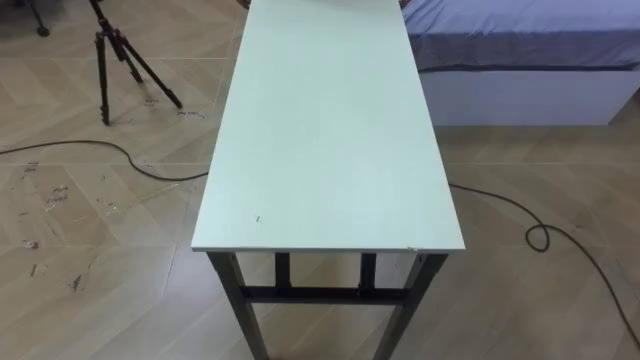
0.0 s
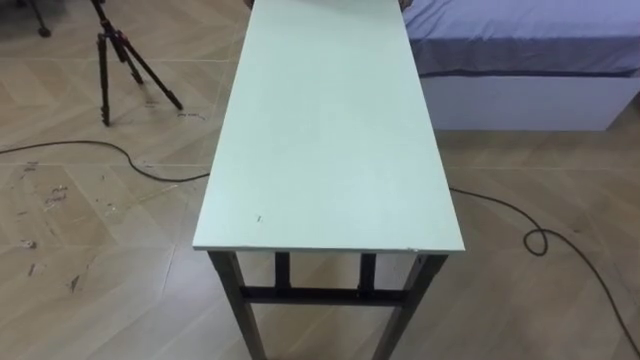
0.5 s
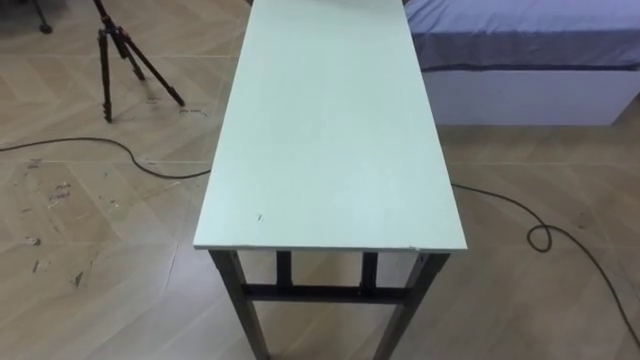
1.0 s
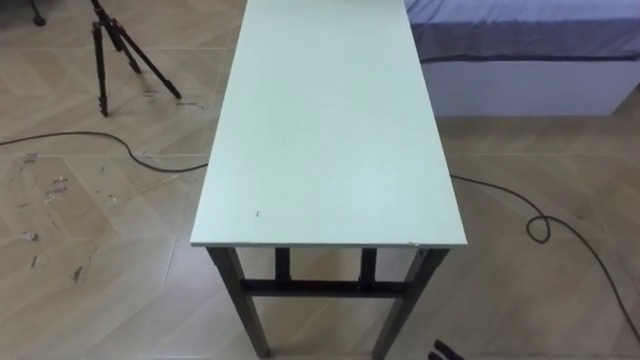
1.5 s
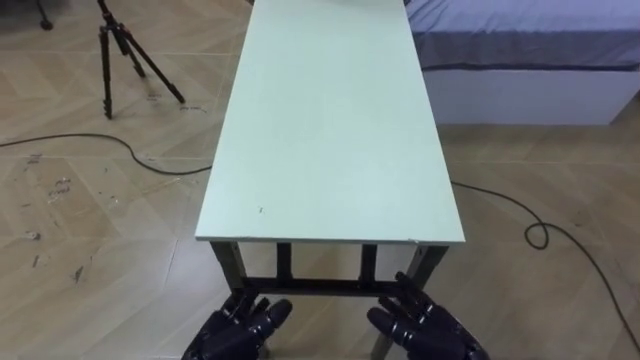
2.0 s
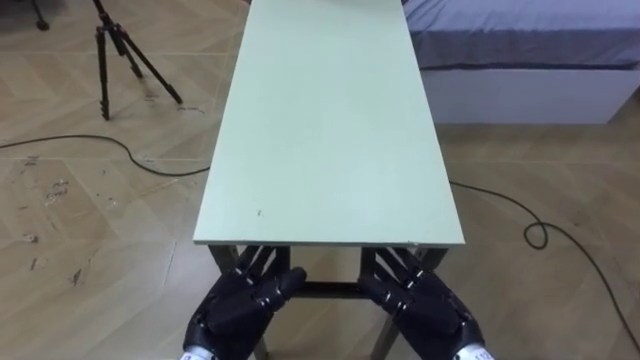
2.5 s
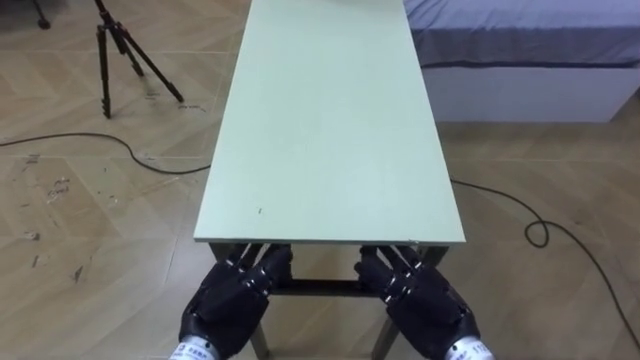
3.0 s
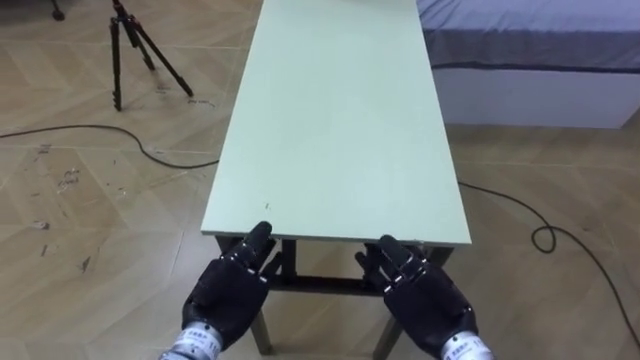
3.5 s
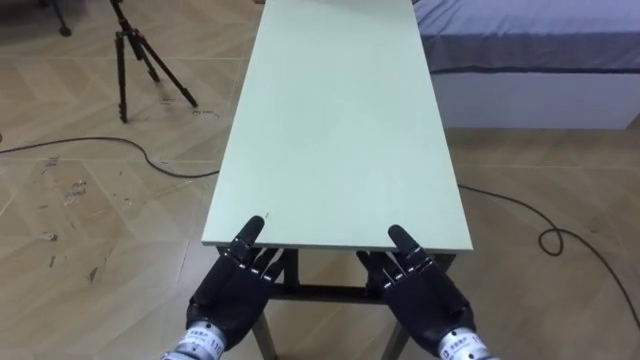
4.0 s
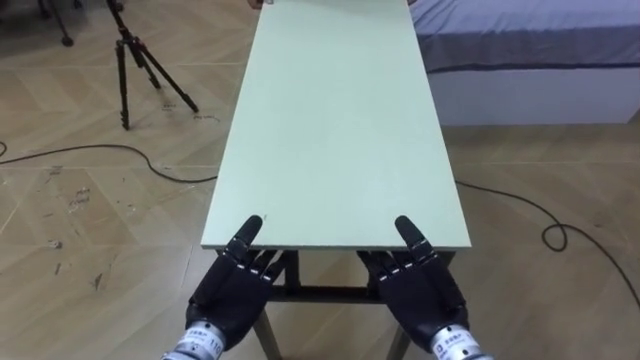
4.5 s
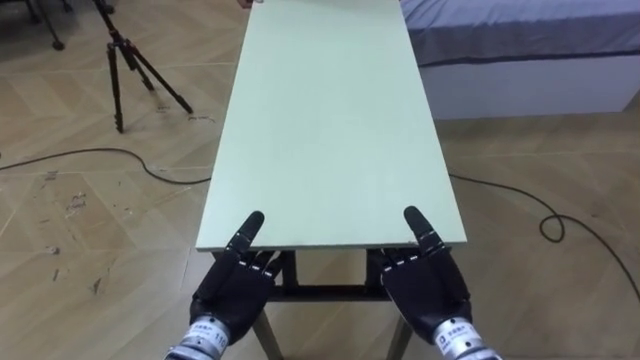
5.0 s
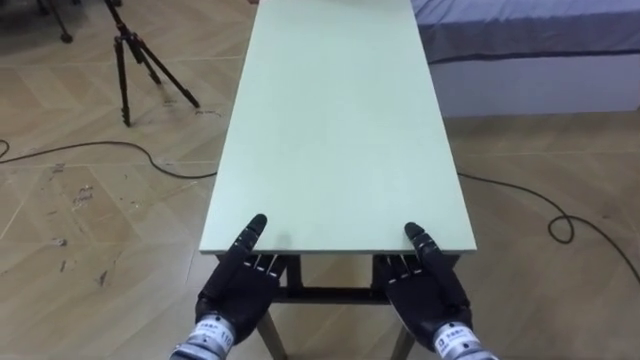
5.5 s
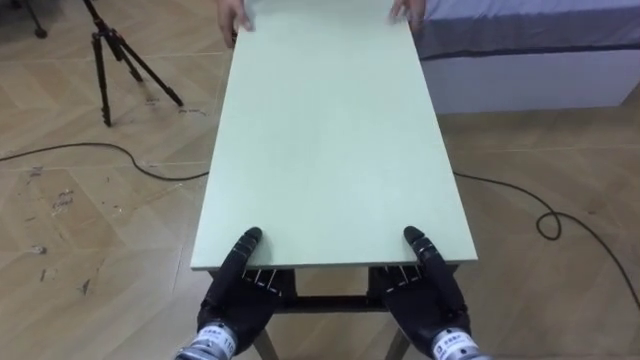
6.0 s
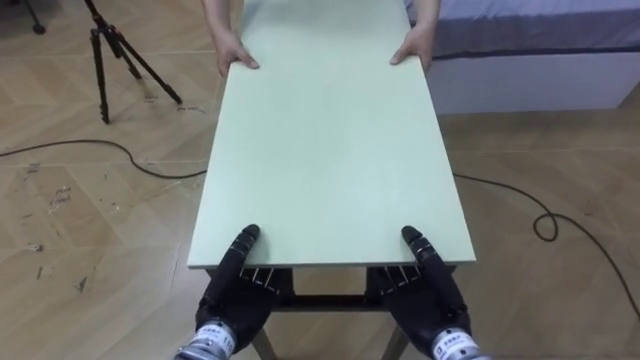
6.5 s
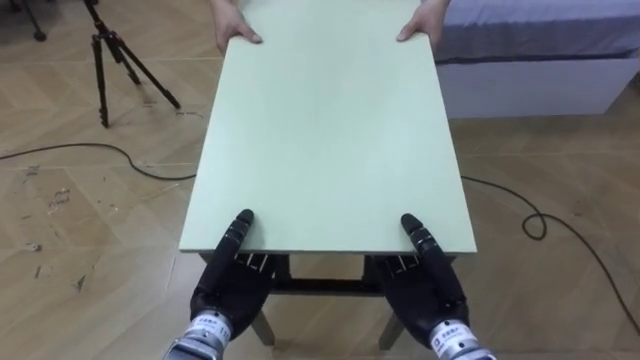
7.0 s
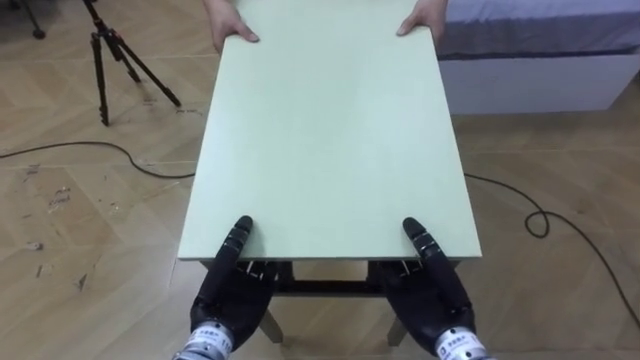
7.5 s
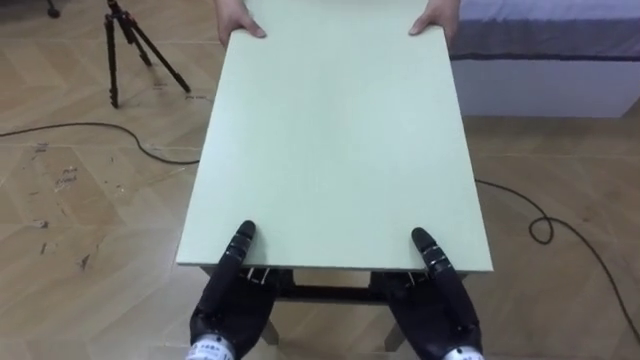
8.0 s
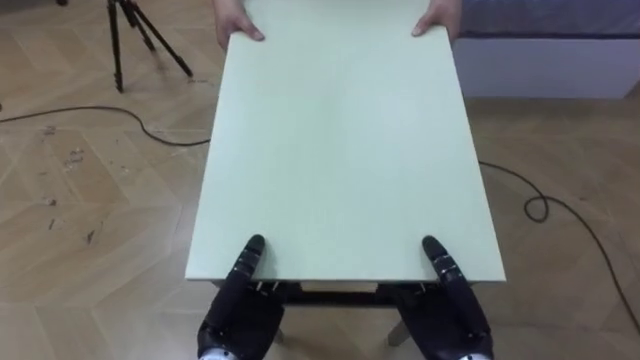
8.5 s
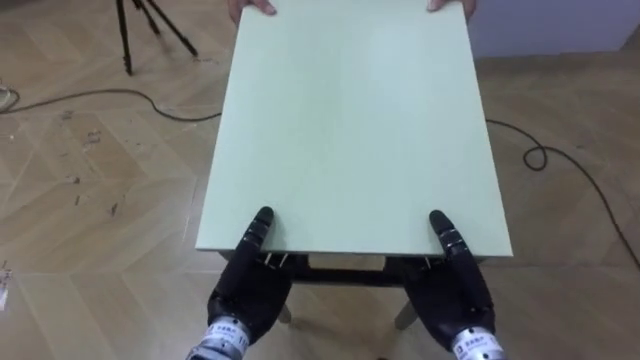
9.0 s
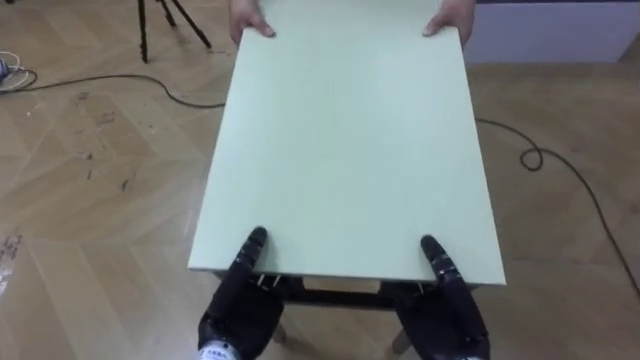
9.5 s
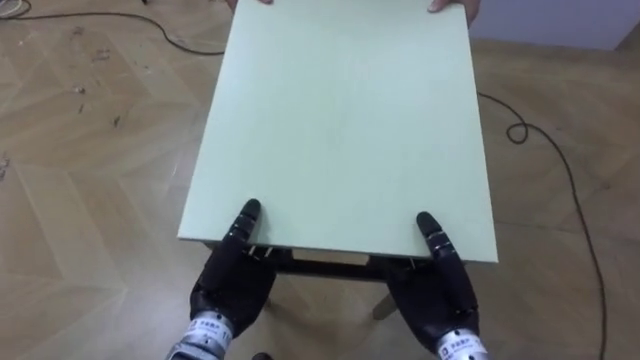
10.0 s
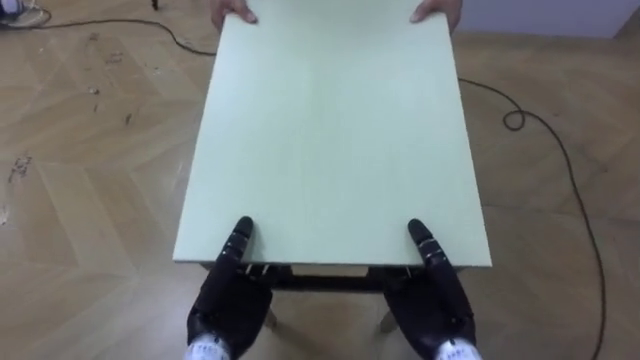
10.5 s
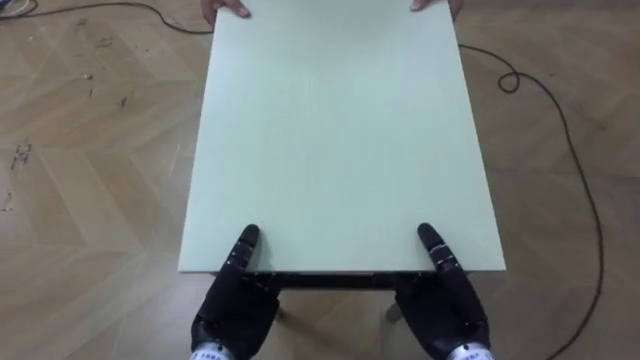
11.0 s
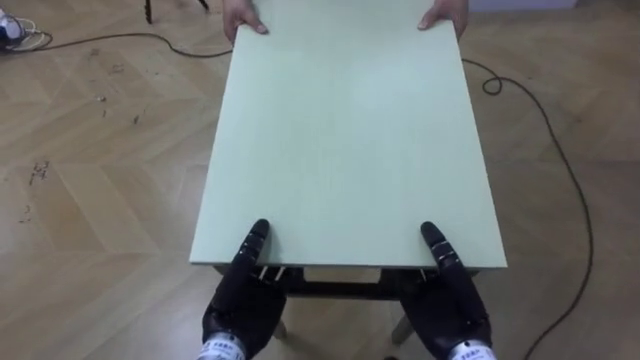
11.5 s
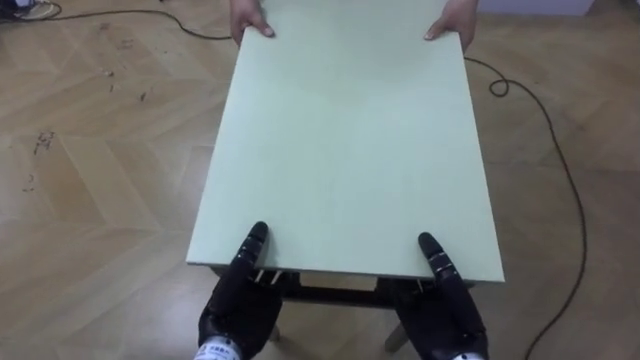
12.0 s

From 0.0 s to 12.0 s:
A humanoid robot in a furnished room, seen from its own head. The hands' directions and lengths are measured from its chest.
Task of the whole recording: Move the table to the back left with someone.
From 2.0 s to 4.0 s: The left hand is displaced forward and upward by about 10 cm. The right hand heads upward, covering roughly 5 cm.
From 4.0 s to 6.0 s: The left hand closes its fingers. The right hand closes.

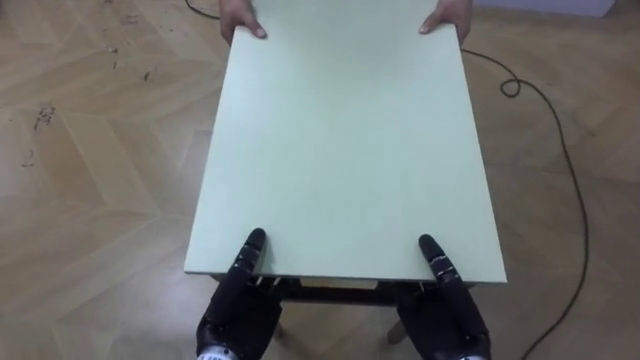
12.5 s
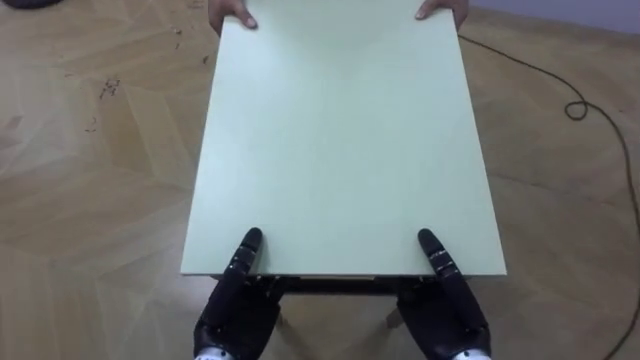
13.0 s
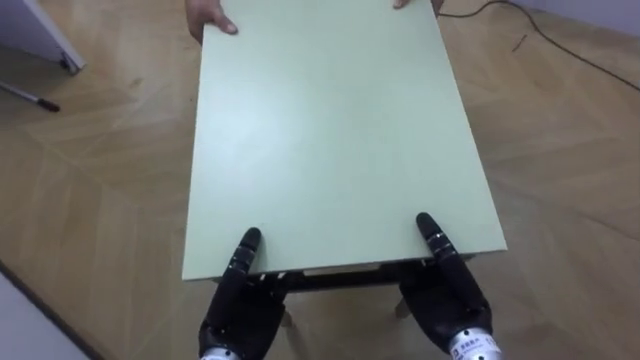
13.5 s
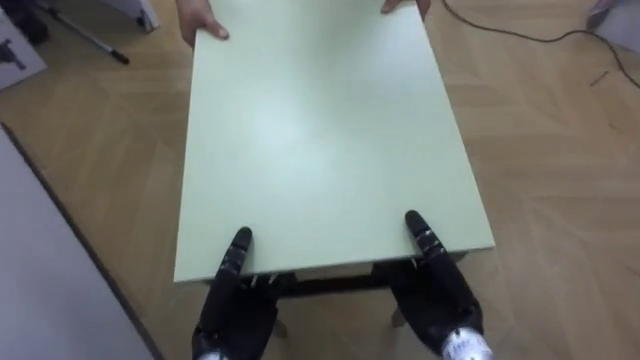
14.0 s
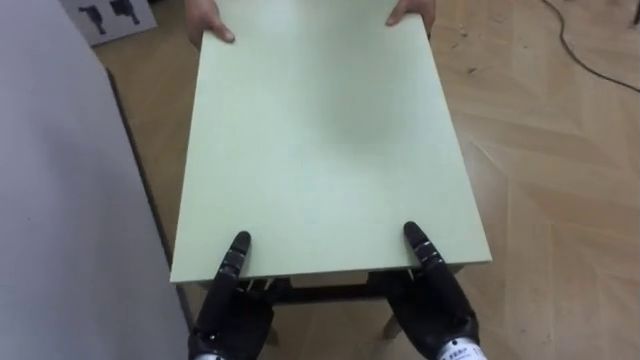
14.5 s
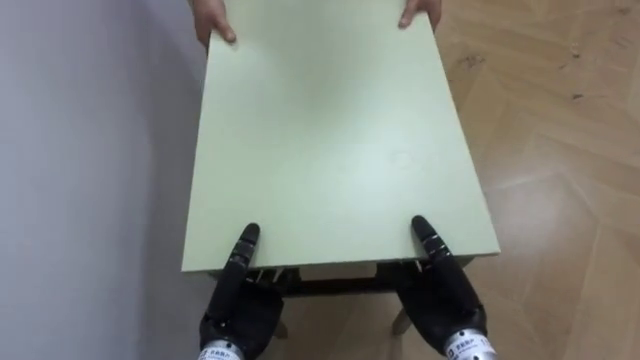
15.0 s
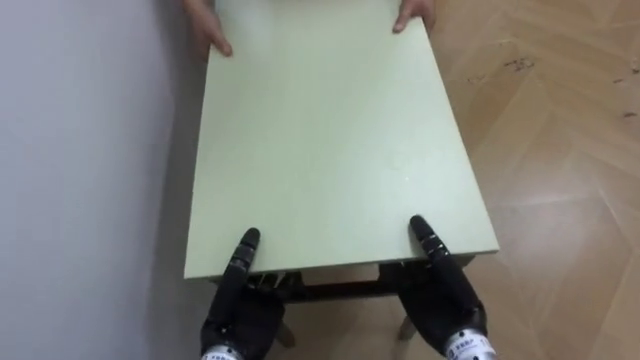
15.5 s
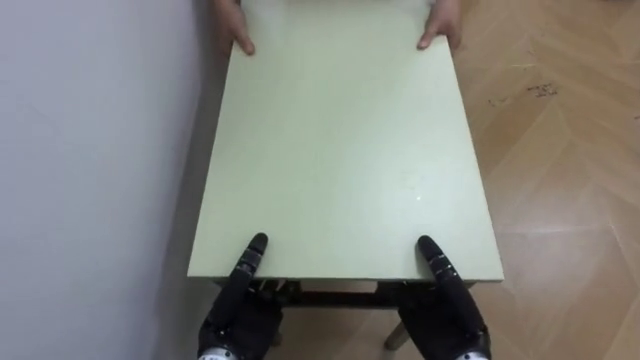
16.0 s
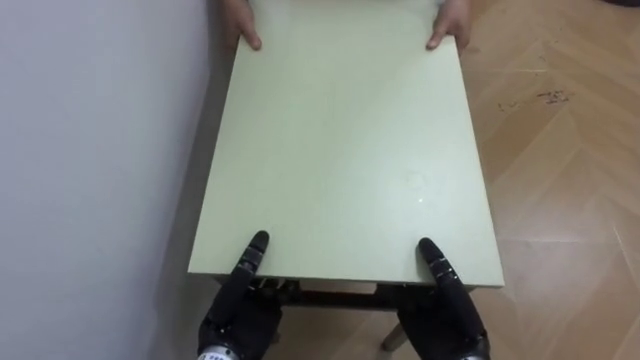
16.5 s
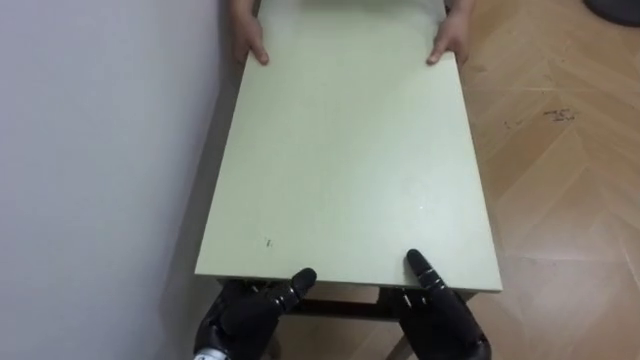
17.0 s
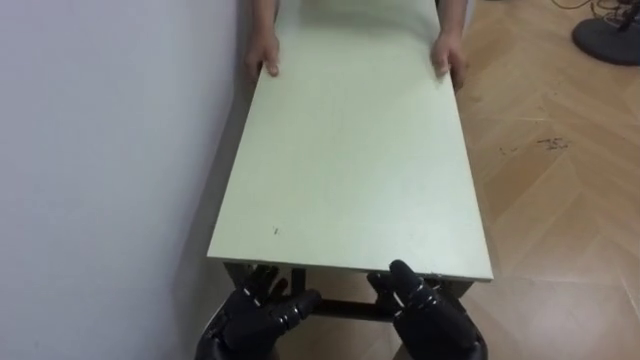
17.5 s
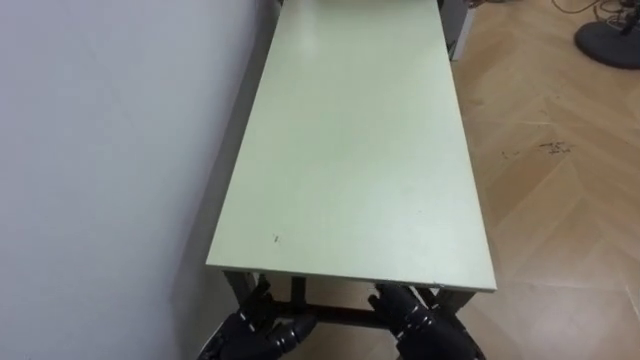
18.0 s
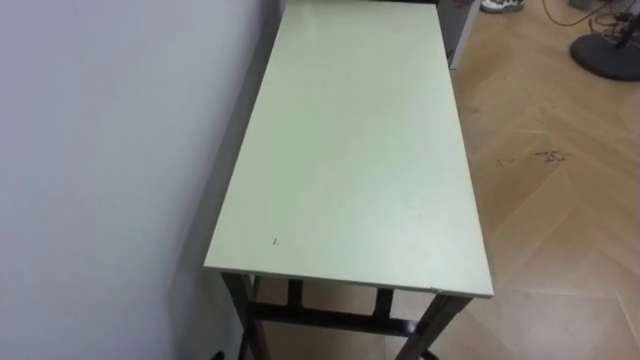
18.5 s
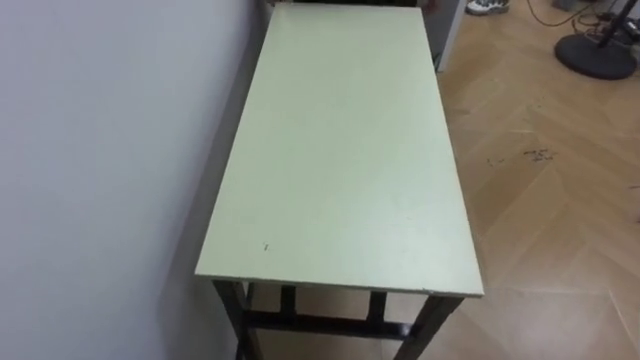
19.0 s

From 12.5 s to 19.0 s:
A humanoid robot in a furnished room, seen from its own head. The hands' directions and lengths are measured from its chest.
Task of the whole recording: Move the table to the back left with someone.
From 12.5 s to 14.5 s: The robot faces approximately 50 degrees further to its left.
From 14.5 s to 17.0 s: The robot faces about 35 degrees further to its left. The left hand opens.

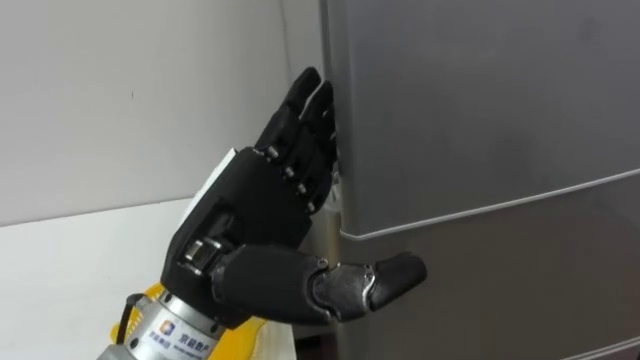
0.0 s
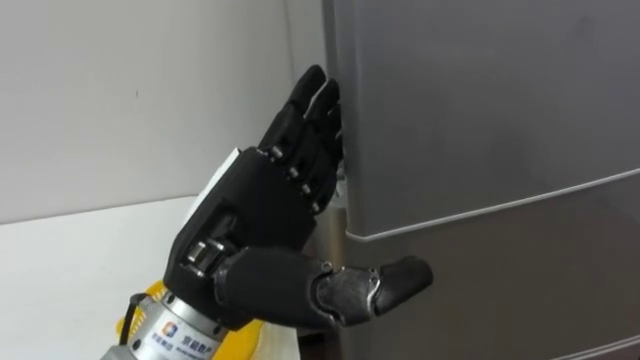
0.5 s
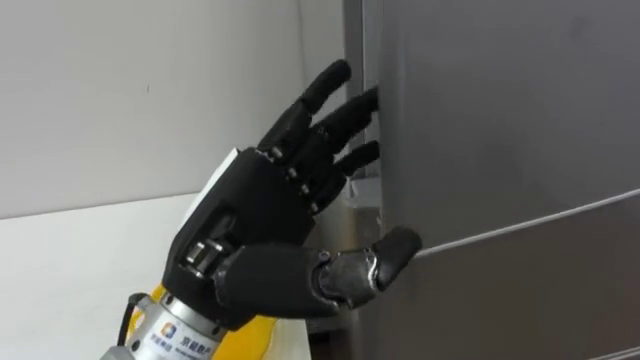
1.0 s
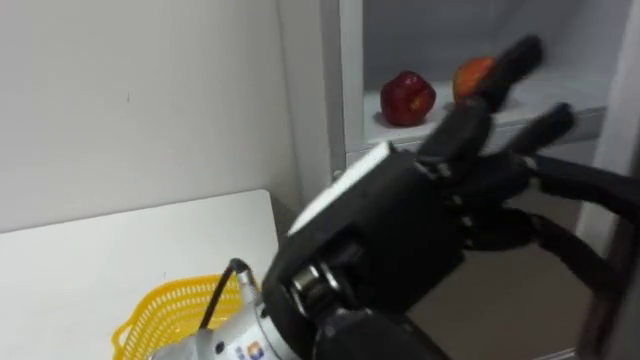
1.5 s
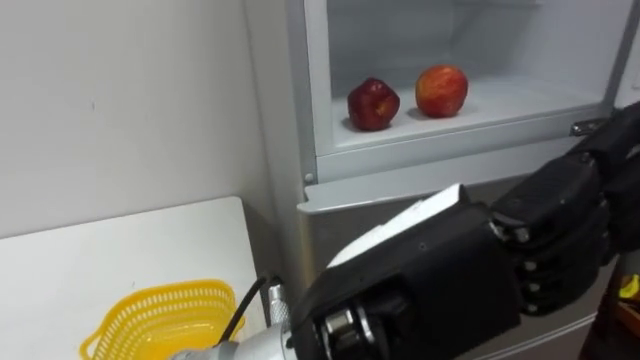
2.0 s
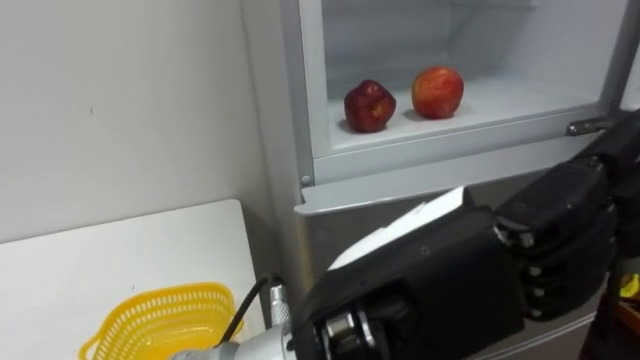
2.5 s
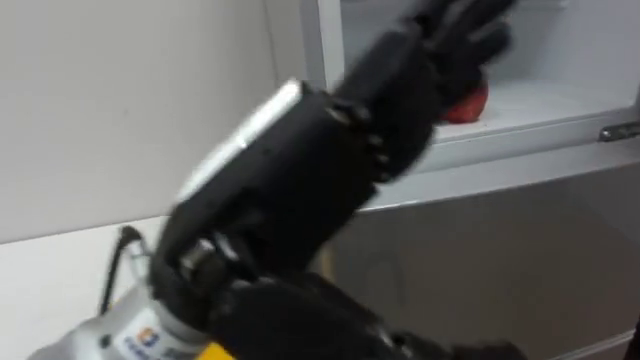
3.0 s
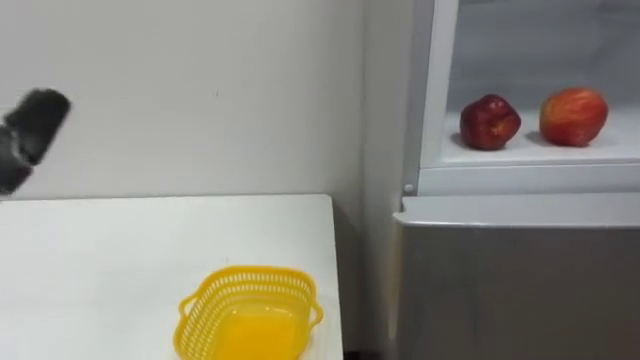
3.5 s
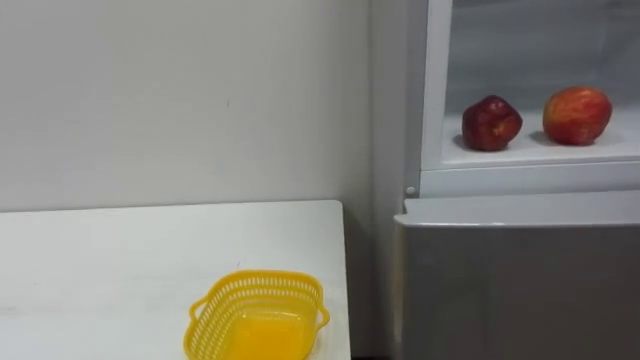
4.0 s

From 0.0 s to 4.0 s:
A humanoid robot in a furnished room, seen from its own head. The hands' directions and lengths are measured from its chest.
Task of the whole recording: Open the refrigerator door, take out the apple and the pomegranate, place them in the fruit basket on the left, and close the refrigerator door.
From 0.0 s to 2.0 s: The left hand is displaced to the right and backward by approximately 10 cm.
